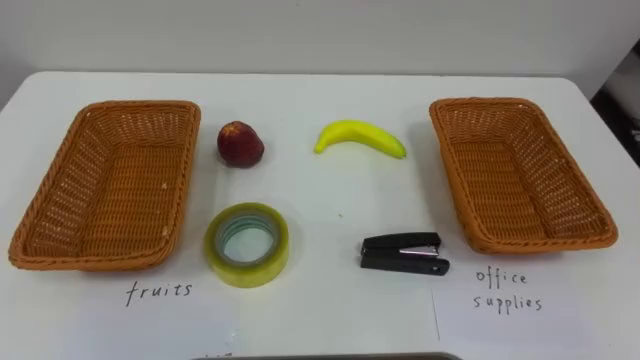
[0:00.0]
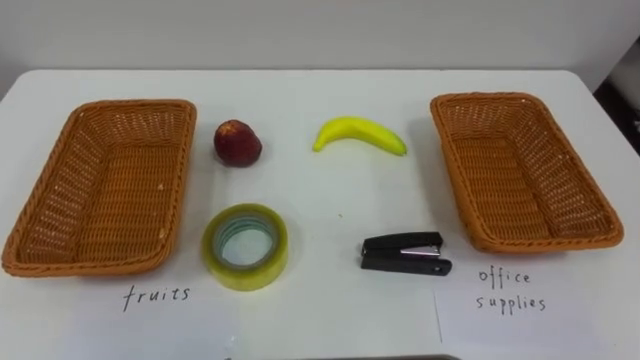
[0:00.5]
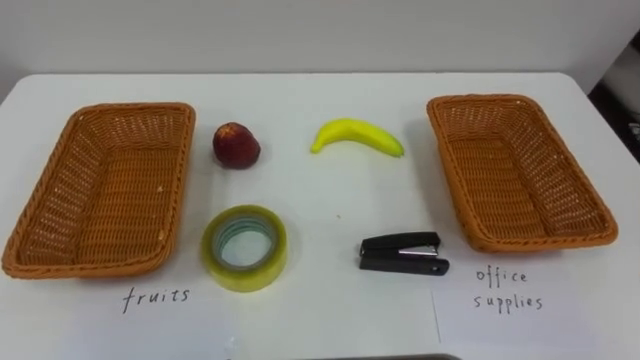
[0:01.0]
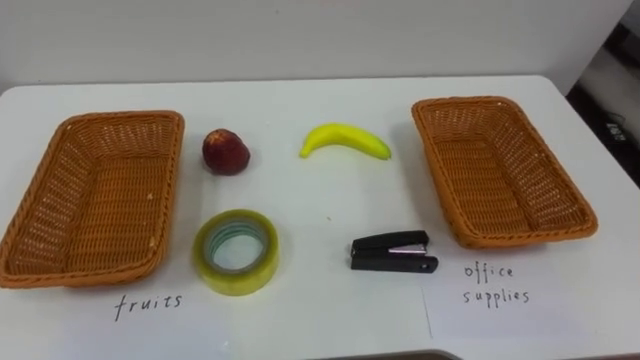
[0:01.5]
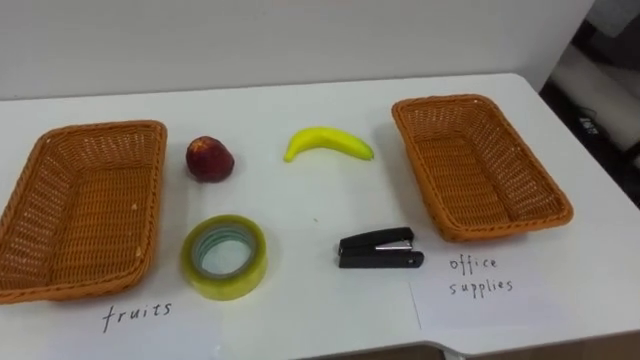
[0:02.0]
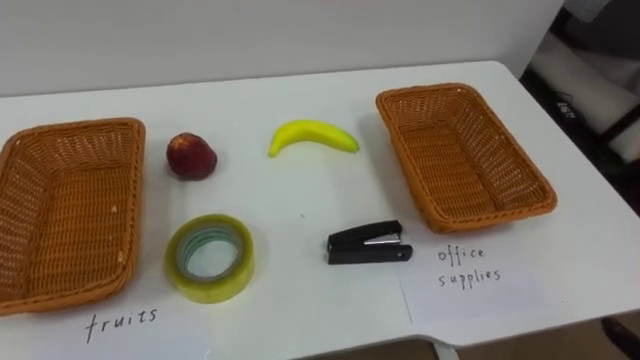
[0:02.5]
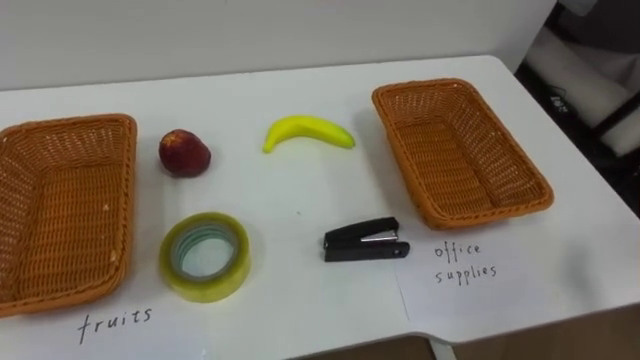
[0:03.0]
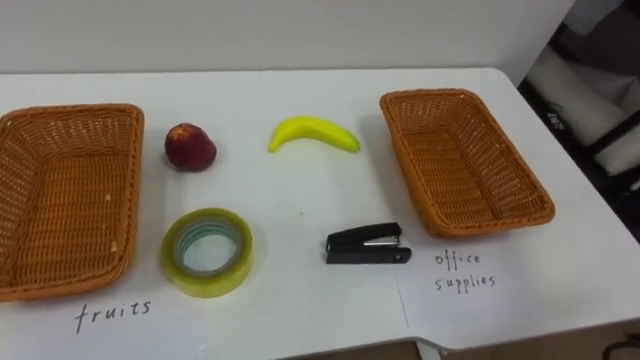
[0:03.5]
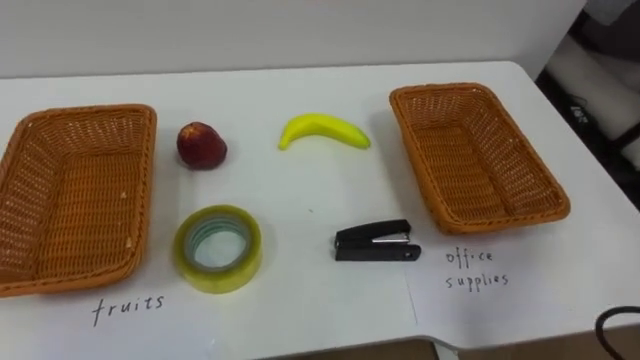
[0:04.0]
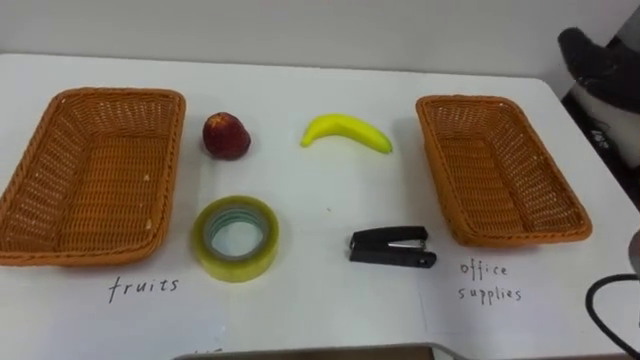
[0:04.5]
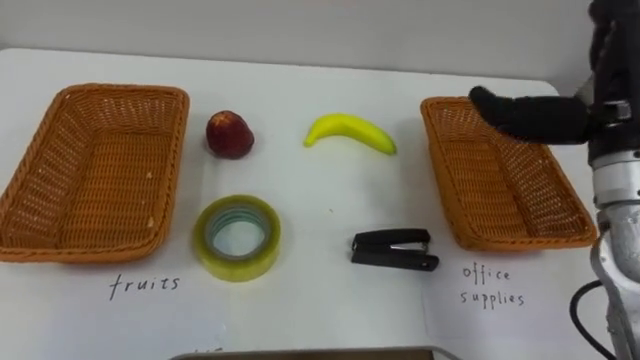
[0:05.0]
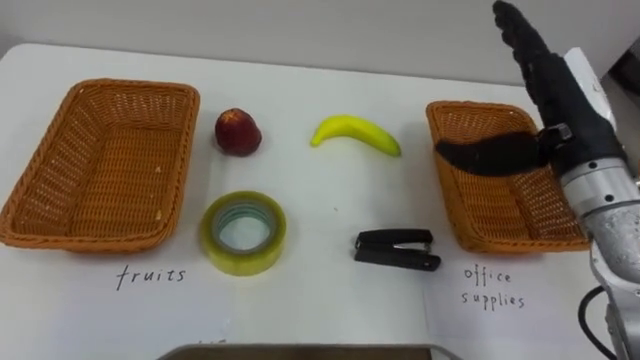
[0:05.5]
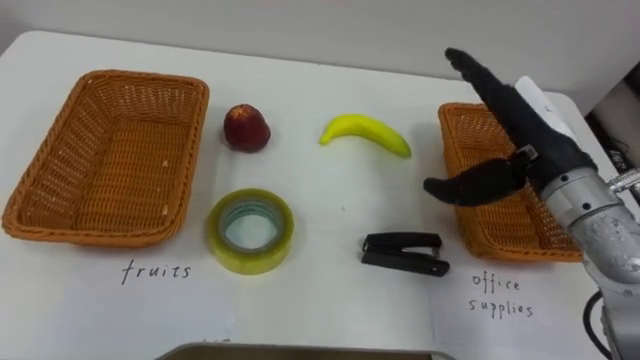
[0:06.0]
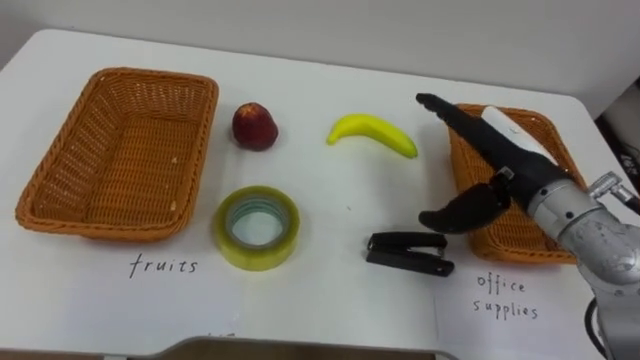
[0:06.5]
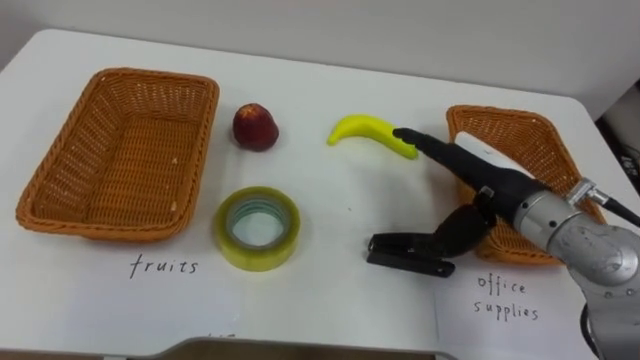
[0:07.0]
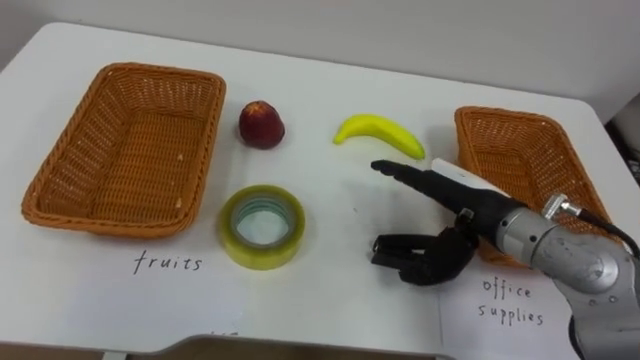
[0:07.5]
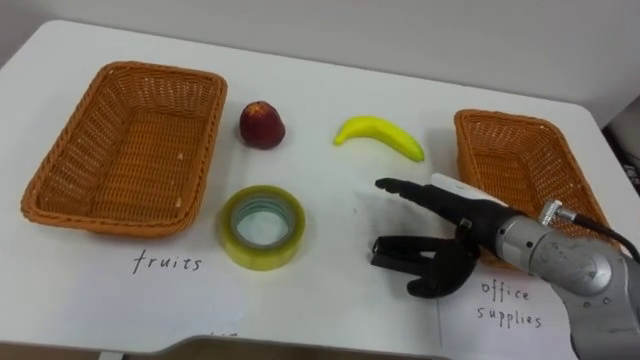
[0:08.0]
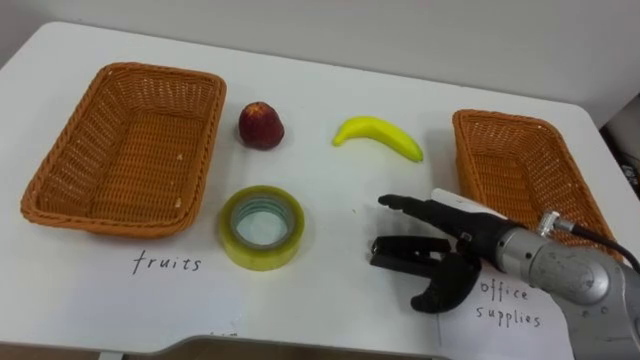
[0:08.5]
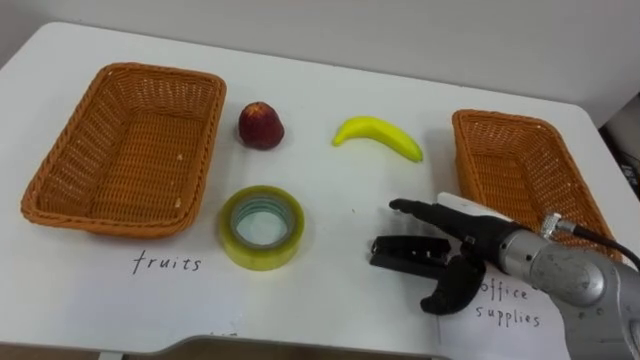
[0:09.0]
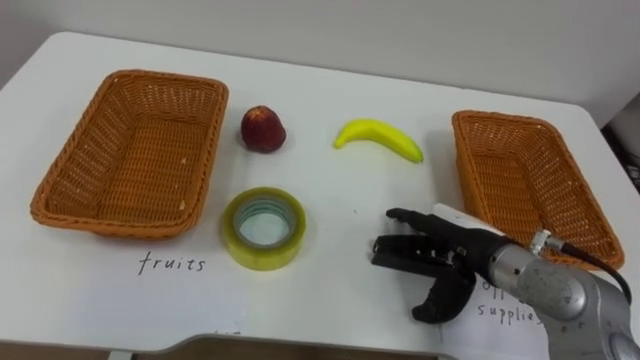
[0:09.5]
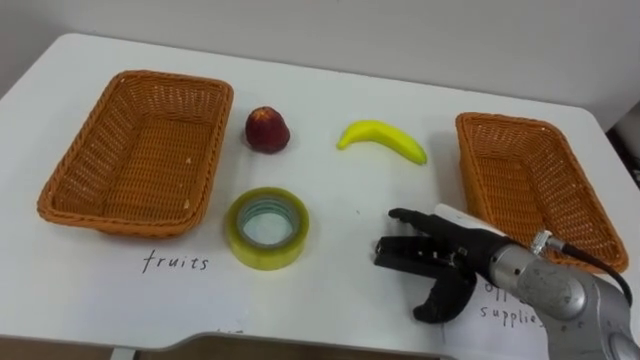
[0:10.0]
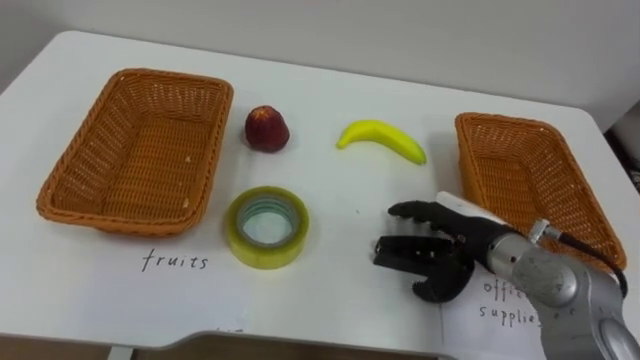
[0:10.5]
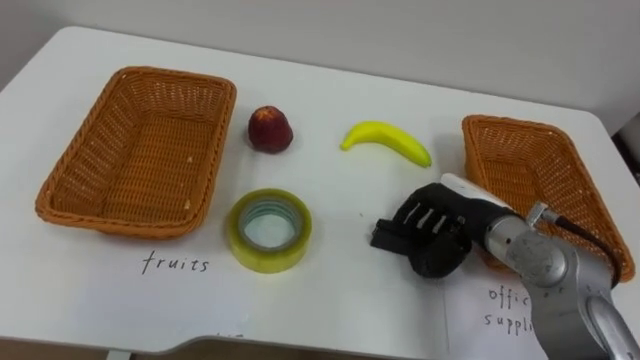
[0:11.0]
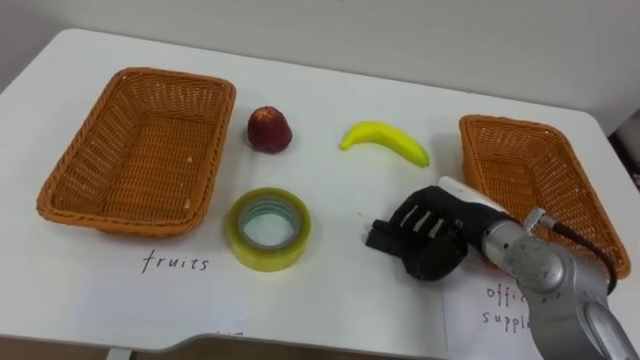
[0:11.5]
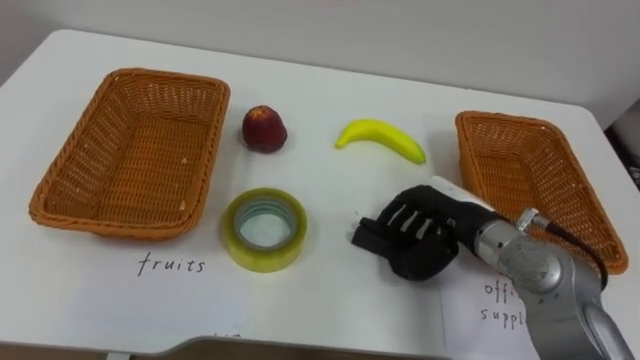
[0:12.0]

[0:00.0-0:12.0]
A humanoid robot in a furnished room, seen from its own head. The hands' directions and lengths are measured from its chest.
Task of the whole recording: Separate the items on the table and place them into the two baskets.
0:06.0 to 0:08.0: The right hand heads downward, covering some 10 cm.
0:10.0 to 0:12.0: The right hand closes.

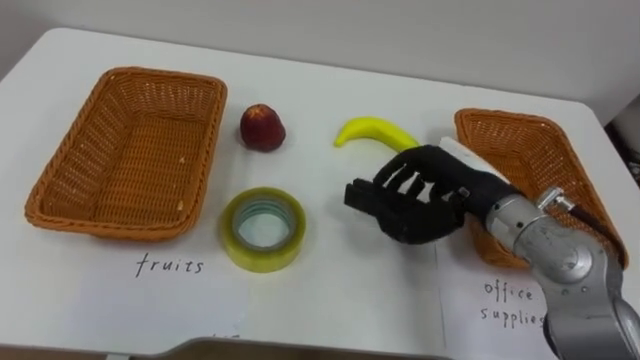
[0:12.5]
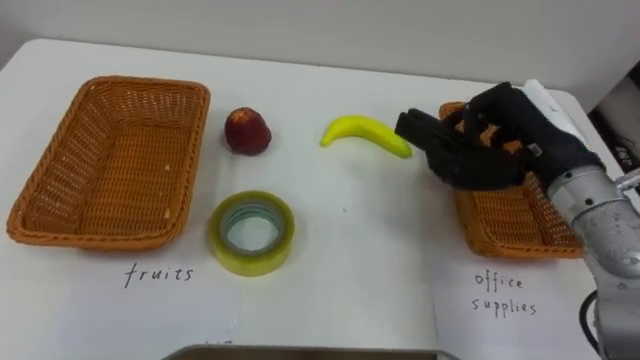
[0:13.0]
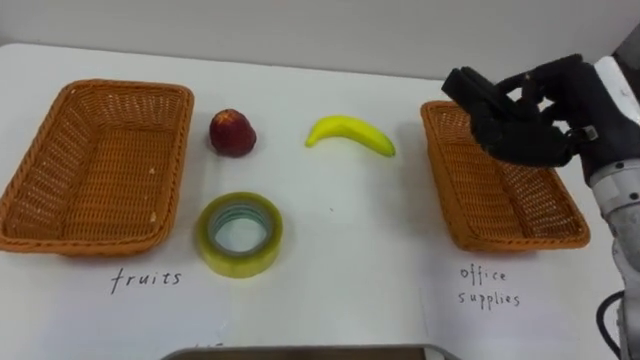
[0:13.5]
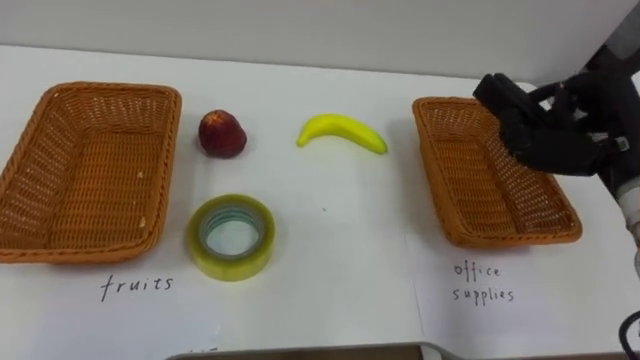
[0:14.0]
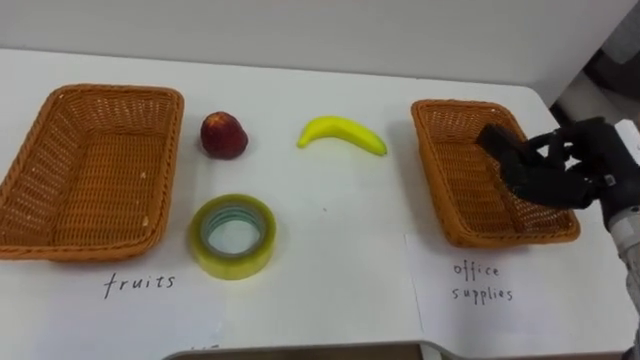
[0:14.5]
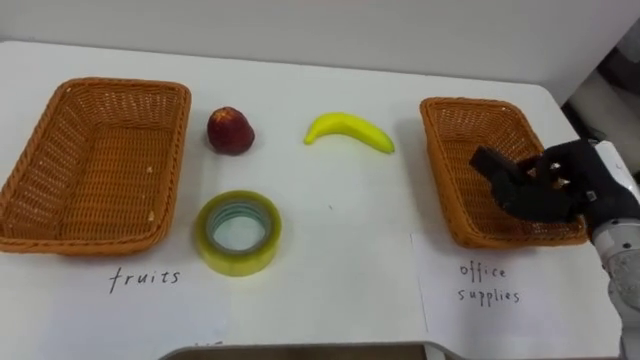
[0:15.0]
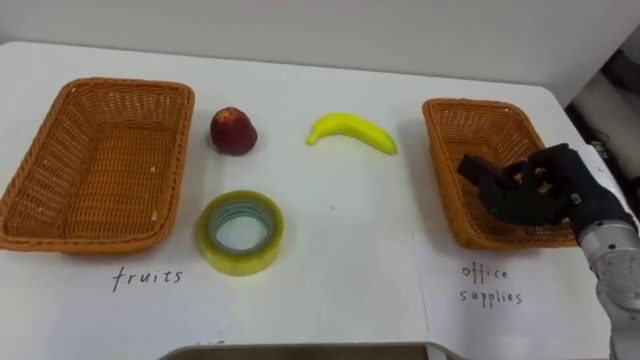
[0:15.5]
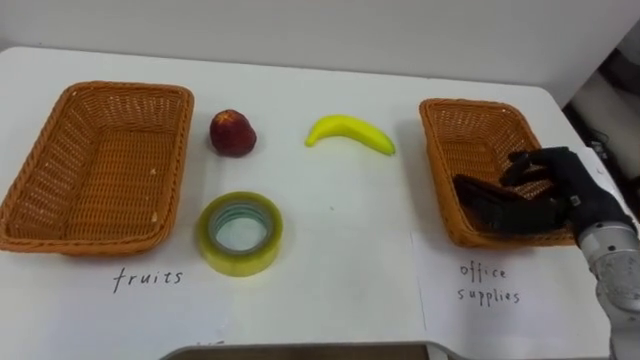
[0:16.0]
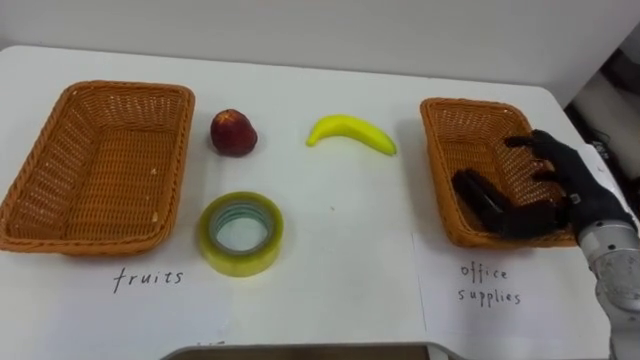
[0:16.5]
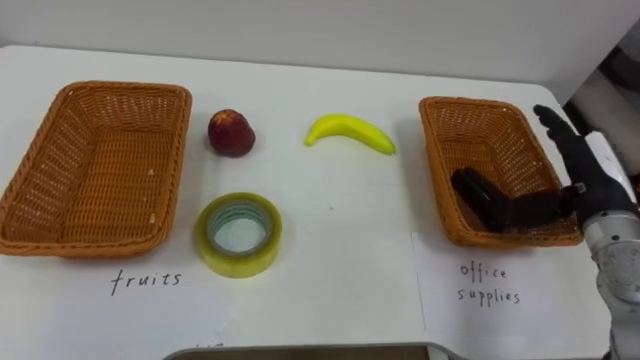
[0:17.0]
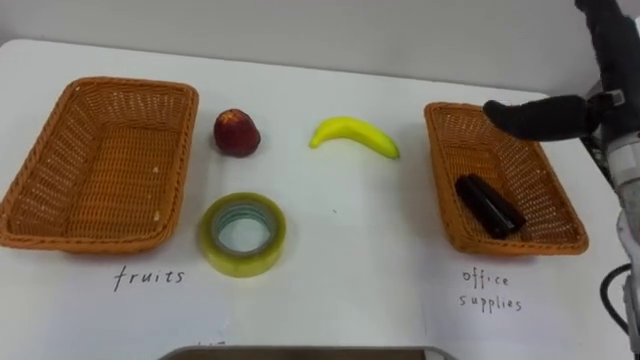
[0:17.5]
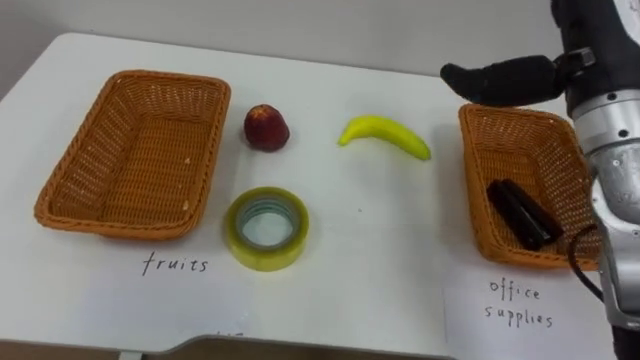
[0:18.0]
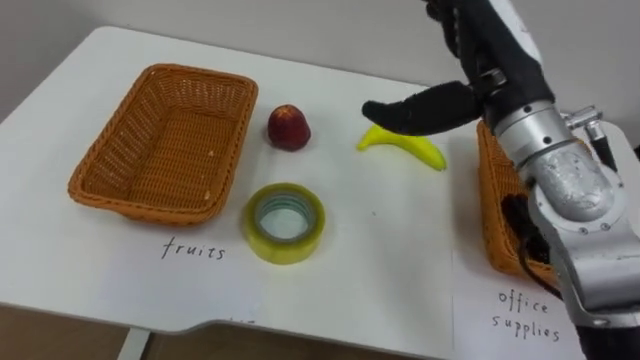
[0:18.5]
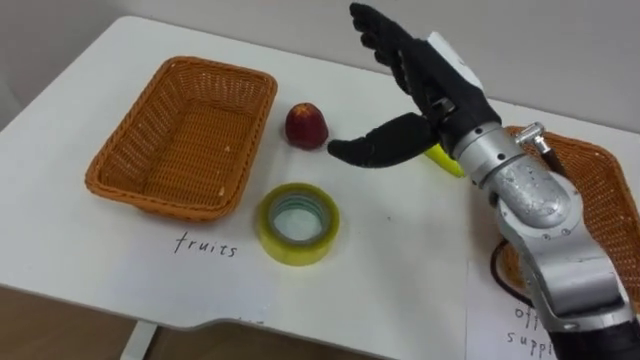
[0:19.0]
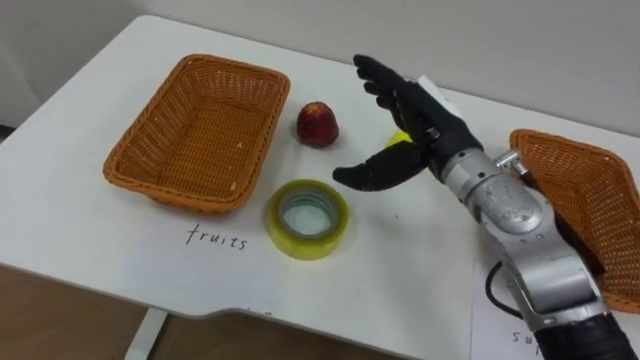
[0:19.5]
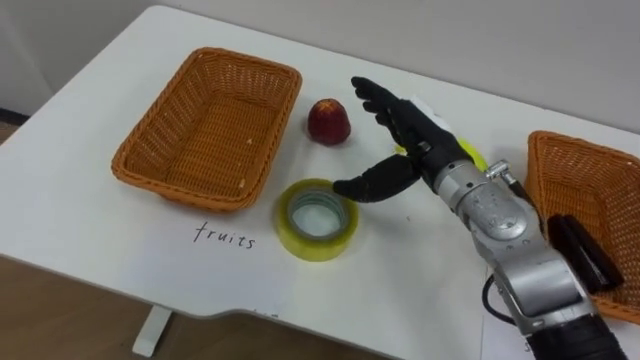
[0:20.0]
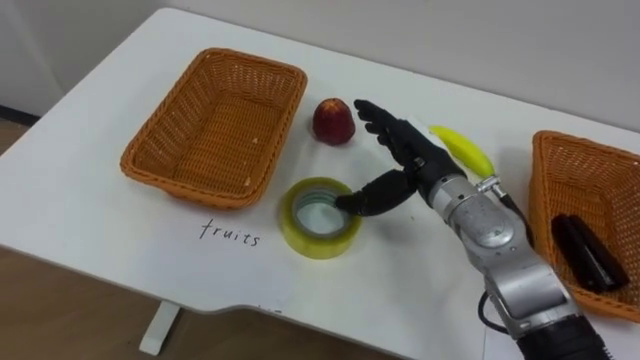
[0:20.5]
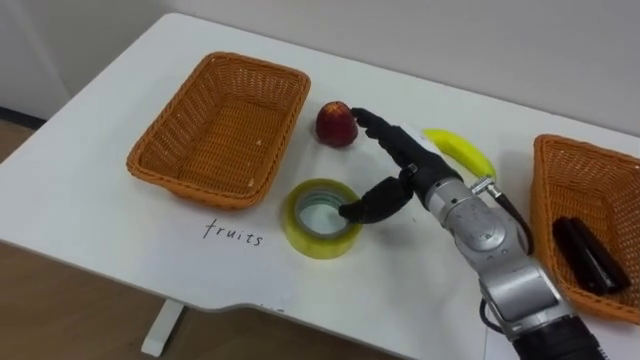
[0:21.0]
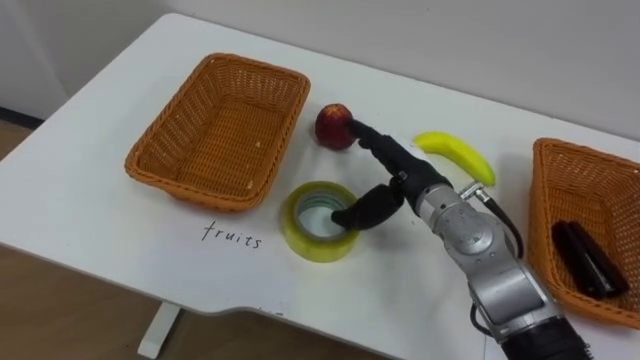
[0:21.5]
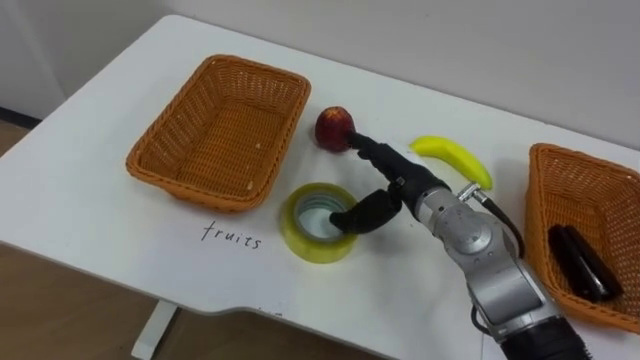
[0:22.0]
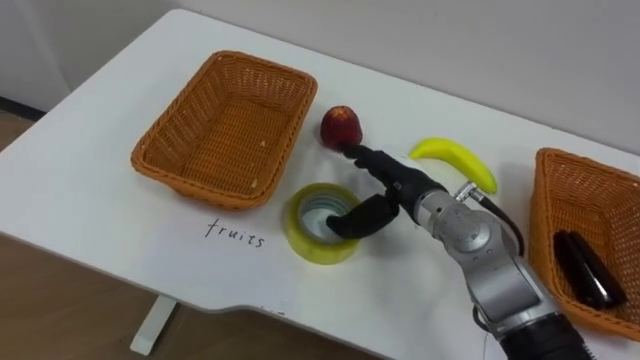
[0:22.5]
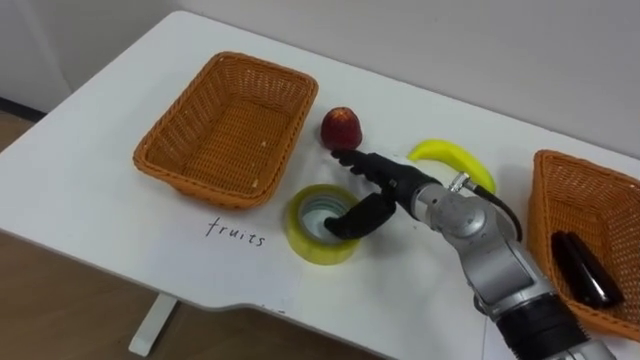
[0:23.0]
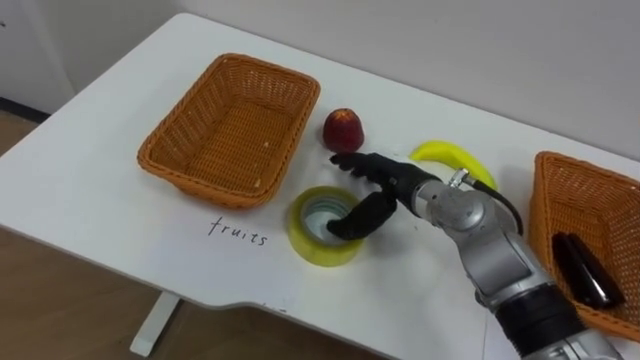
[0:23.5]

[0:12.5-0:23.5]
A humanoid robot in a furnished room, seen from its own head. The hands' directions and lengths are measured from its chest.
Task of the whole recording: Separate the items on the table and place them into the two baskets.
0:12.5 to 0:14.5: The right hand heads to the right, covering approximately 15 cm.
0:16.0 to 0:18.0: The right hand is displaced upward and to the left by approximately 20 cm, and opens up.
0:18.0 to 0:20.0: The right hand shifts some 15 cm downward and to the left.
0:20.0 to 0:21.5: The right hand shifts by some 5 cm.
